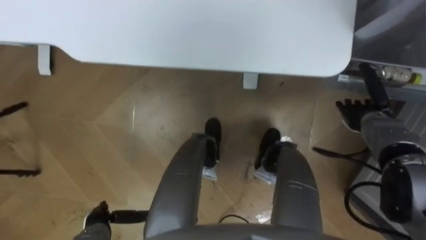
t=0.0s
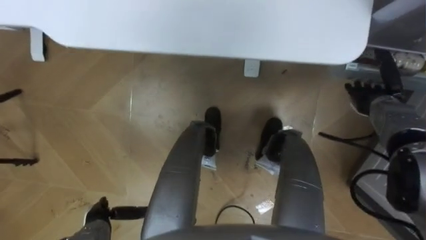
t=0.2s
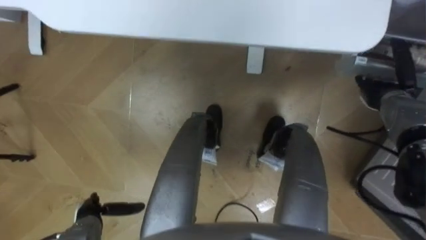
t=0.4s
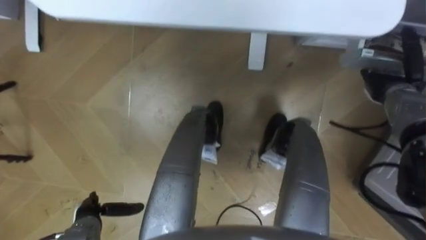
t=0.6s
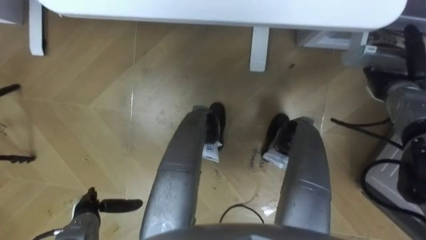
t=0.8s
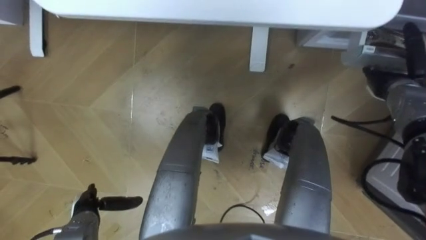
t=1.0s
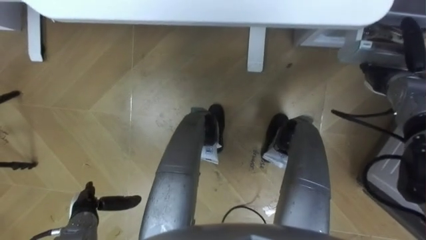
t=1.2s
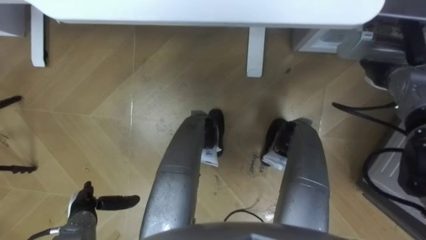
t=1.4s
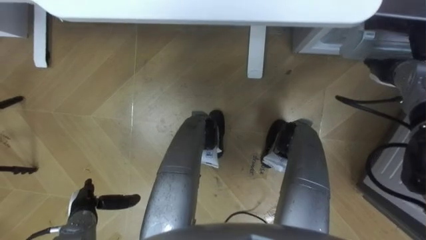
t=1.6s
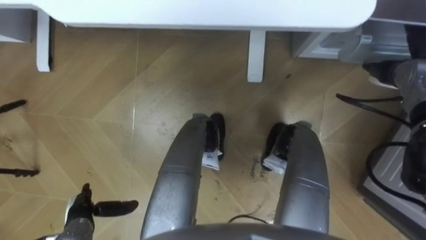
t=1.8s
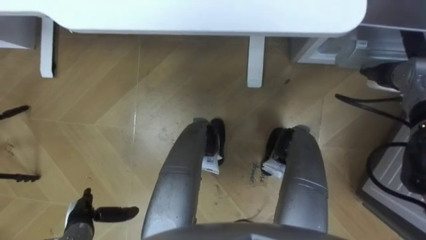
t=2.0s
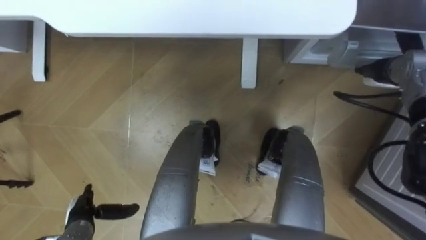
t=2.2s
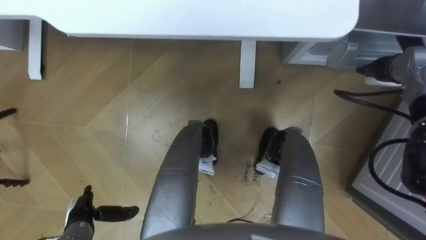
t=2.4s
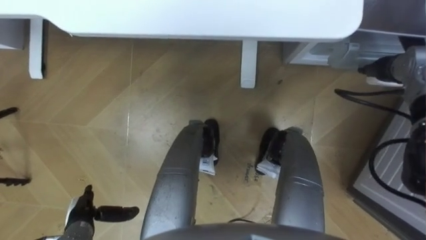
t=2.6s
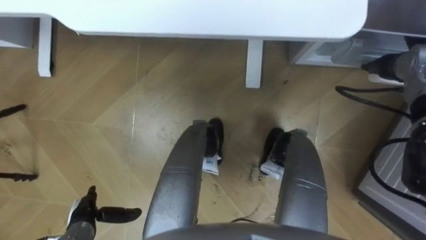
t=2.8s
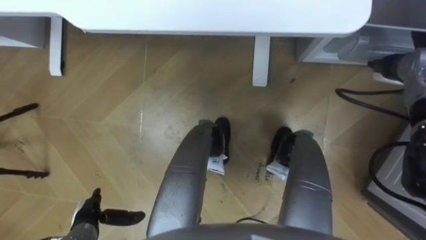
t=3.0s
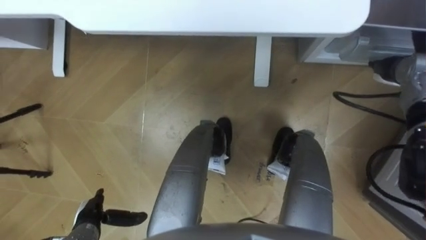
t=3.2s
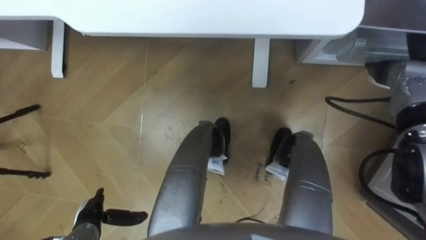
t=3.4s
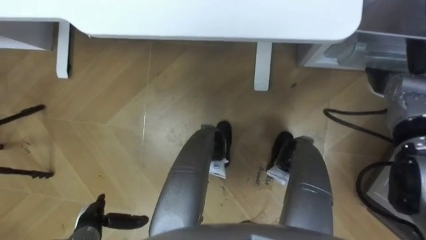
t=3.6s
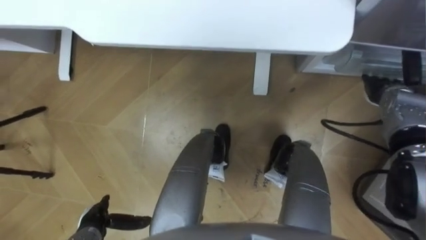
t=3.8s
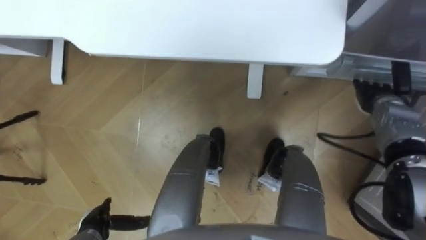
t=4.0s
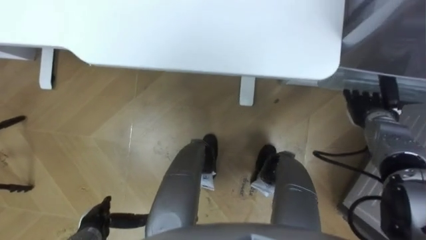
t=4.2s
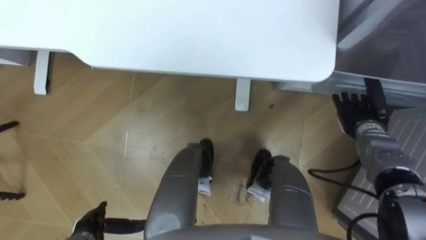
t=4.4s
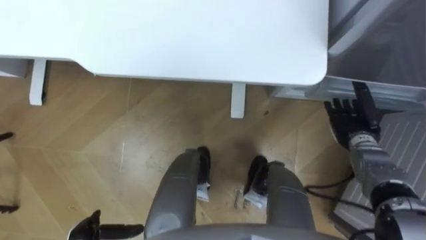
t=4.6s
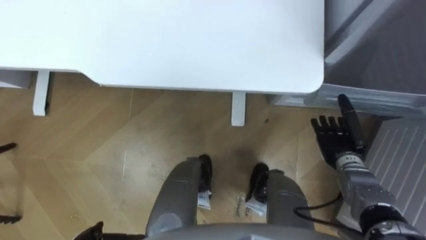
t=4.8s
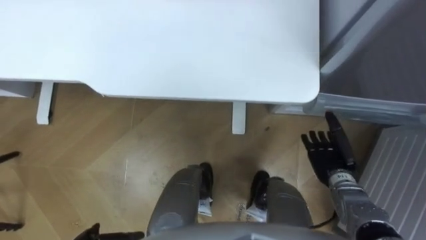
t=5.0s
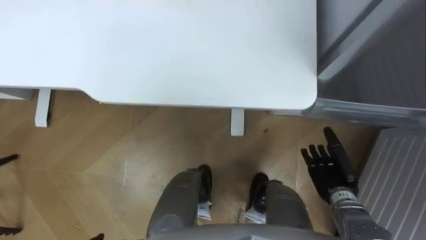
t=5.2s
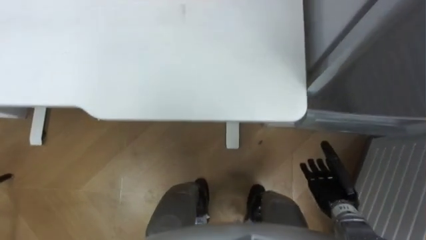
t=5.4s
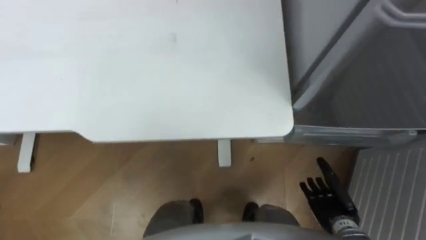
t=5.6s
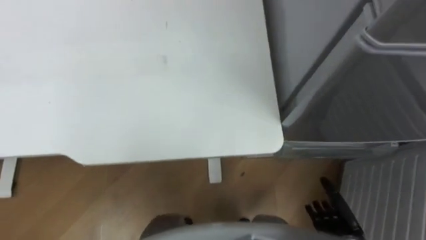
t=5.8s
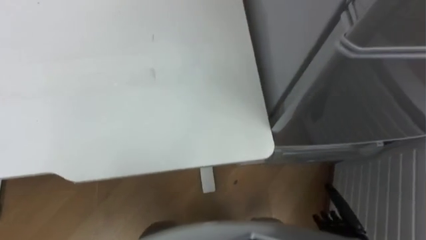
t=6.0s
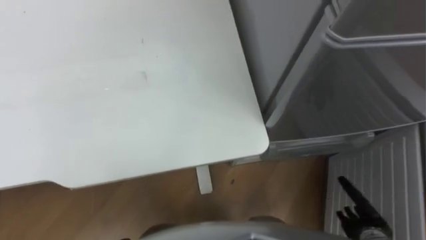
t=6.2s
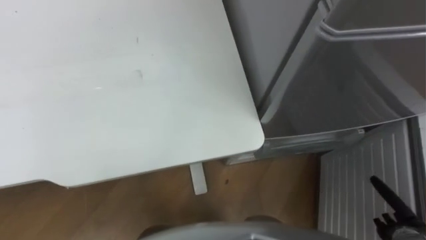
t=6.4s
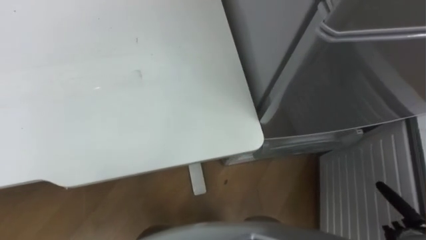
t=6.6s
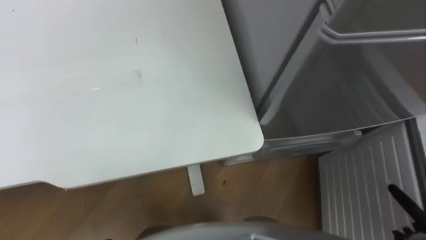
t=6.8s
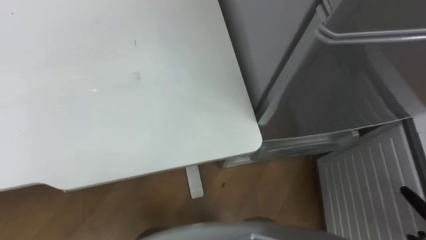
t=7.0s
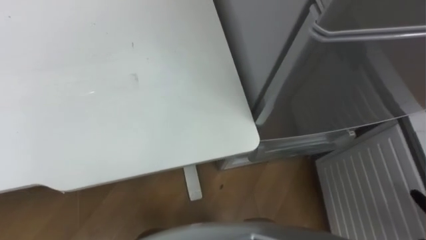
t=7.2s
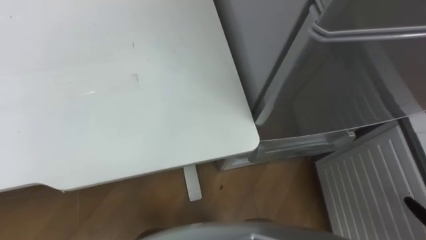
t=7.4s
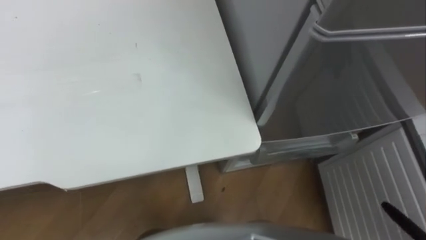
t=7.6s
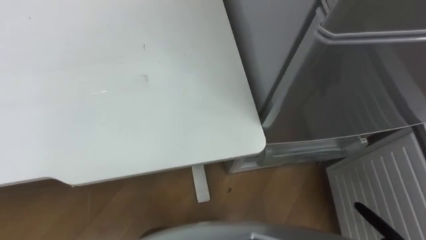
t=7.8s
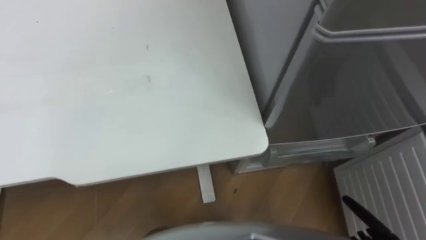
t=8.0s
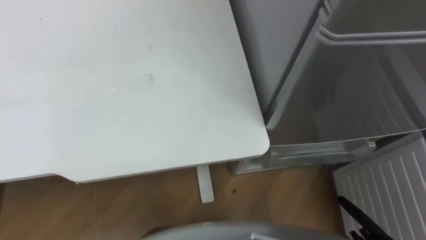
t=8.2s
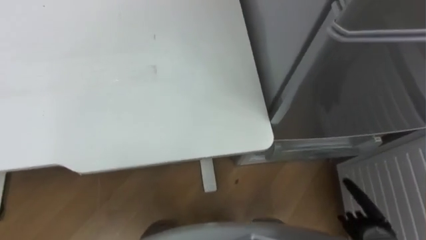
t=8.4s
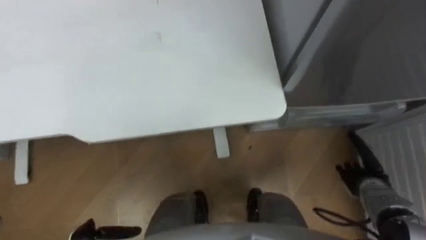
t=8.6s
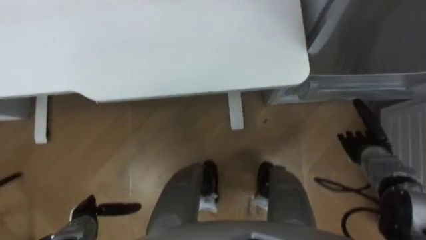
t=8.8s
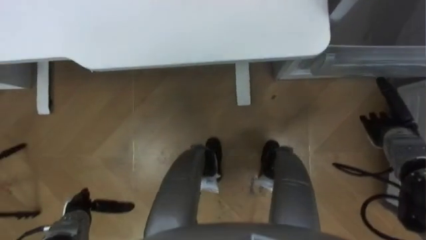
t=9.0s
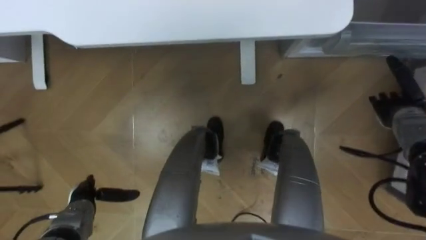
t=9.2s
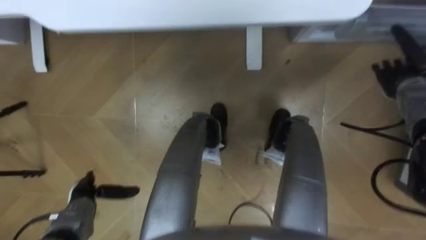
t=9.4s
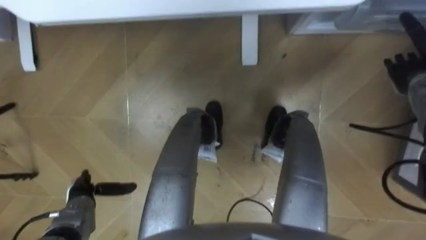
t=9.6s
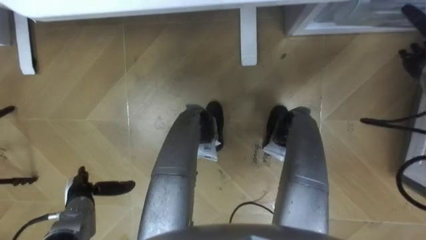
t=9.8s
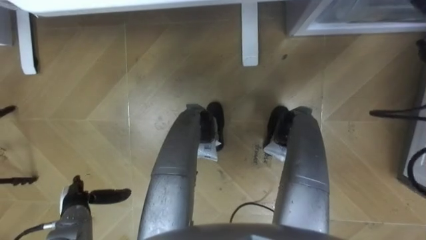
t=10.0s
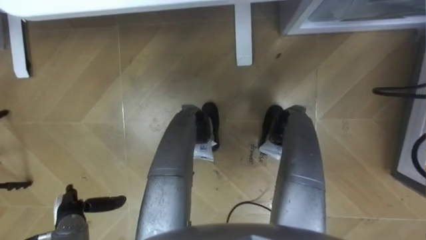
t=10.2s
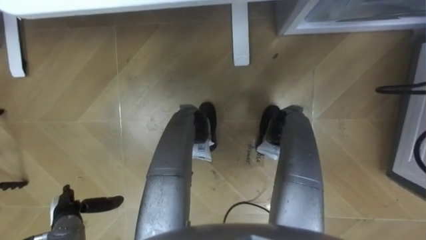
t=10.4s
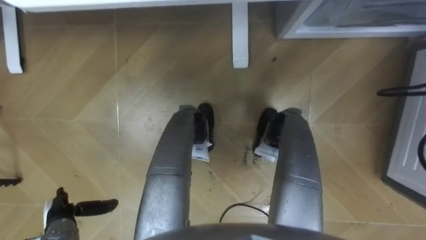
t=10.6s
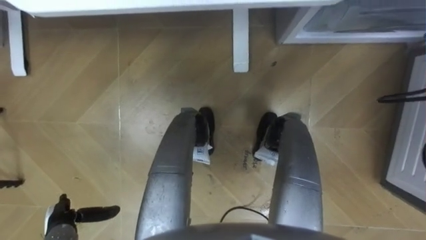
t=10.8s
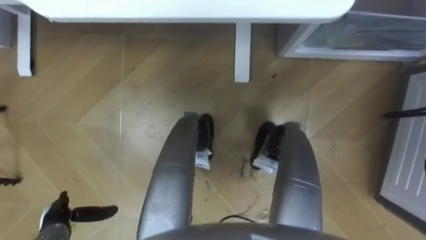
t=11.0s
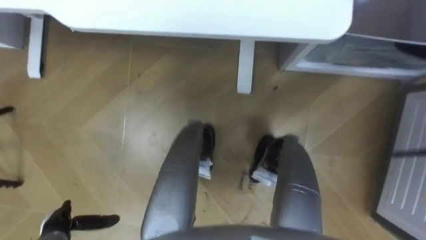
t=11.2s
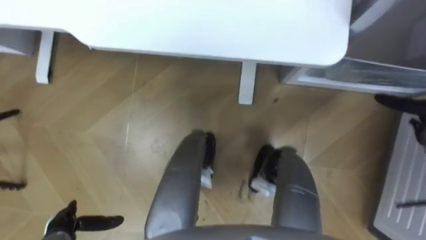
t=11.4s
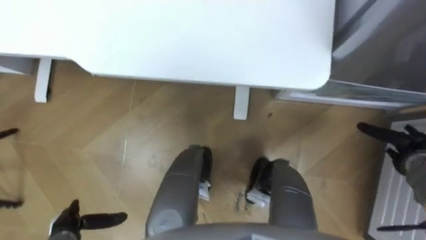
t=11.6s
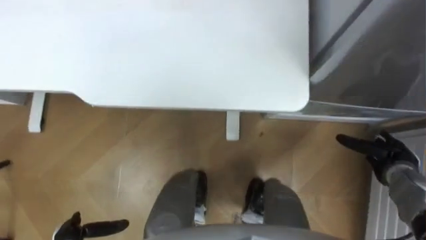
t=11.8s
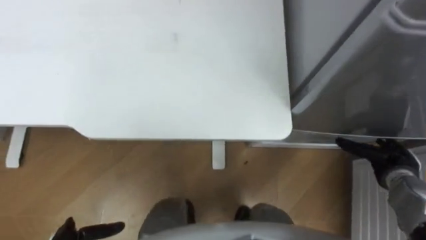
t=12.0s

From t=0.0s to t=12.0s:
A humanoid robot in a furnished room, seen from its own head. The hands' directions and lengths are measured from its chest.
Task of the whole recording: Place the drink on the table on the bottom shelf of the refrigerator, then close the drawer and the refrigerator door.
From t=0.0s to t=1.6s: The left hand ends up roughly 5 cm from where it was. The right hand is displaced upward and forward by about 10 cm.
From t=3.0s to t=4.4s: The right hand goes approximately 10 cm downward and backward.
From t=4.4s to t=6.0s: The right hand travels backward and downward by roughly 25 cm.

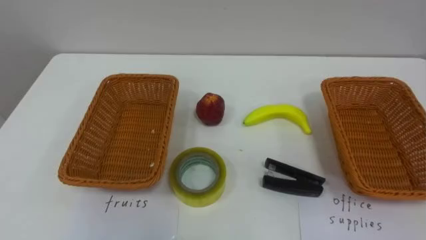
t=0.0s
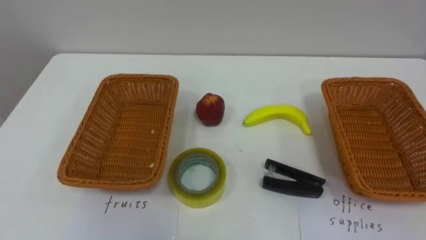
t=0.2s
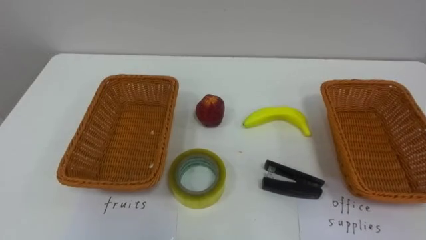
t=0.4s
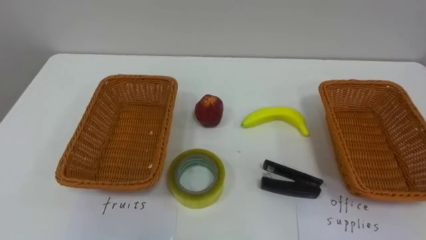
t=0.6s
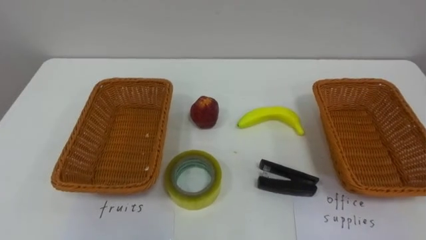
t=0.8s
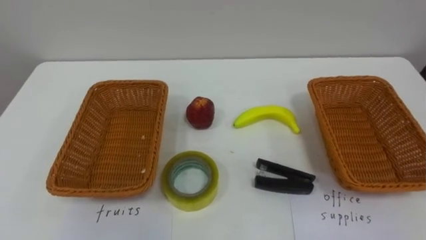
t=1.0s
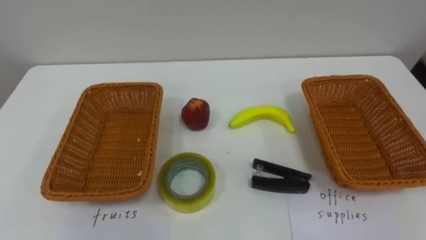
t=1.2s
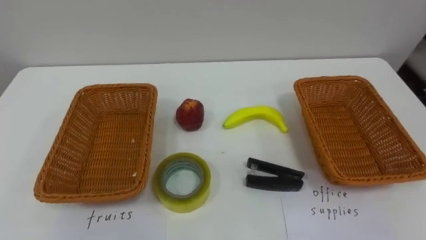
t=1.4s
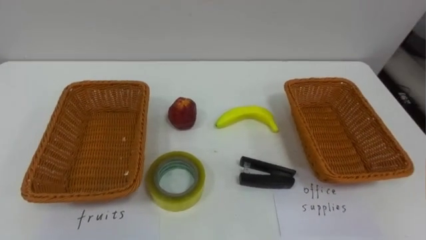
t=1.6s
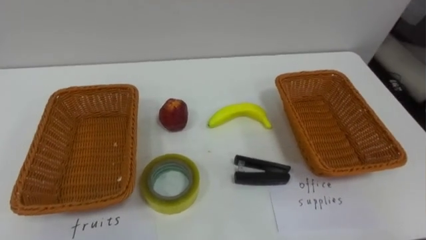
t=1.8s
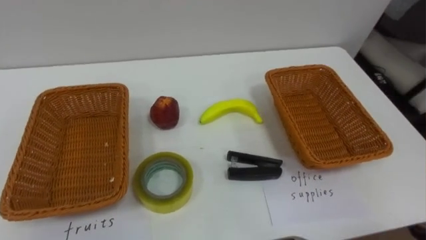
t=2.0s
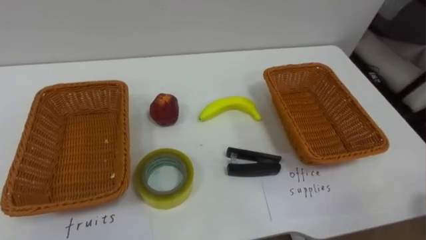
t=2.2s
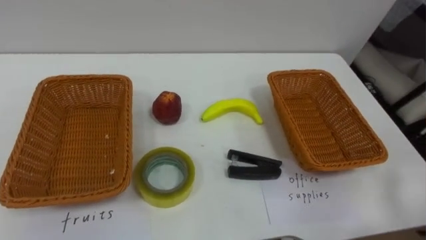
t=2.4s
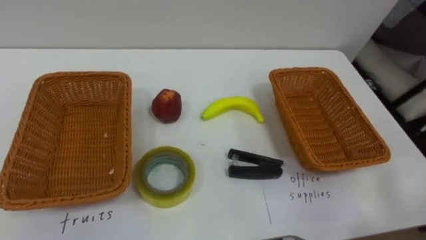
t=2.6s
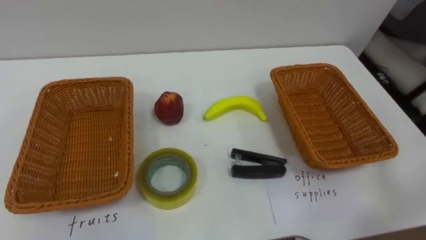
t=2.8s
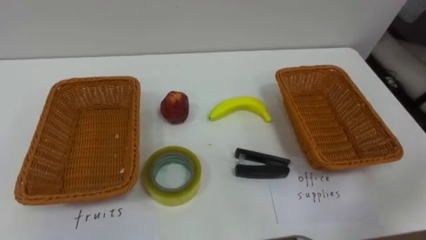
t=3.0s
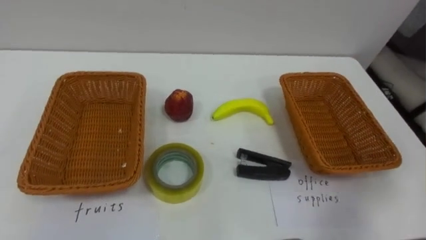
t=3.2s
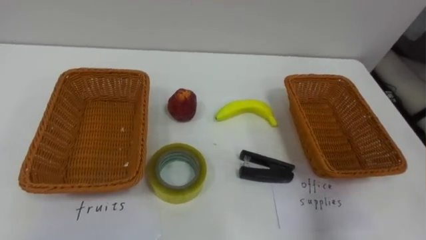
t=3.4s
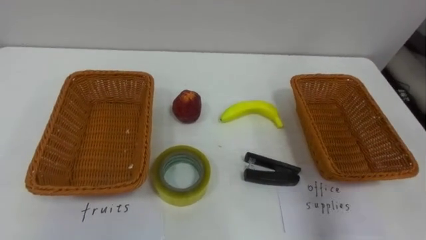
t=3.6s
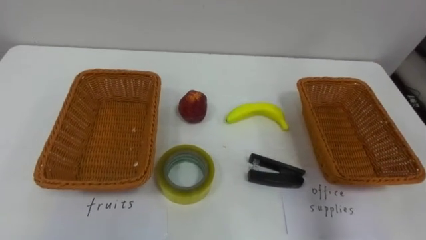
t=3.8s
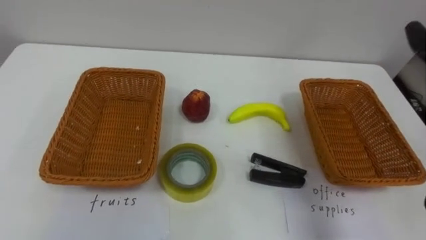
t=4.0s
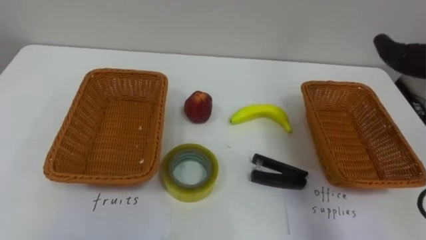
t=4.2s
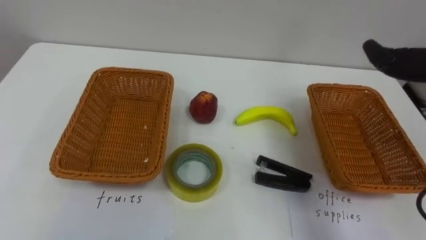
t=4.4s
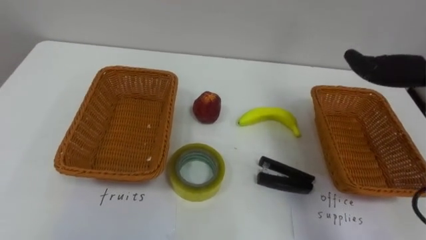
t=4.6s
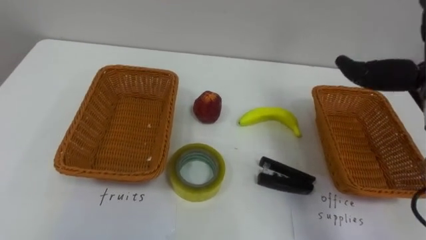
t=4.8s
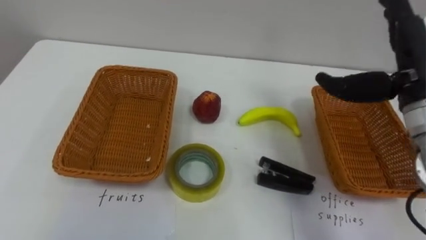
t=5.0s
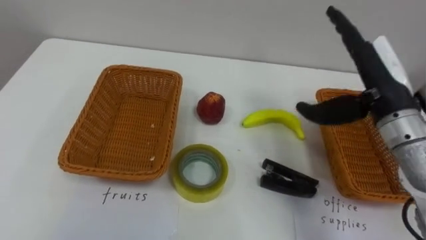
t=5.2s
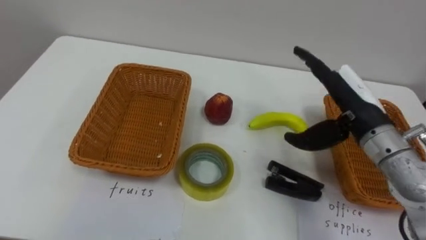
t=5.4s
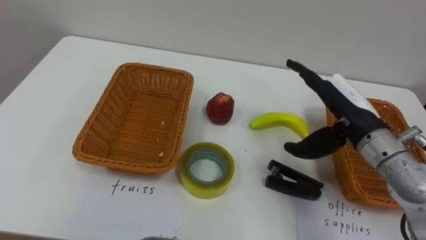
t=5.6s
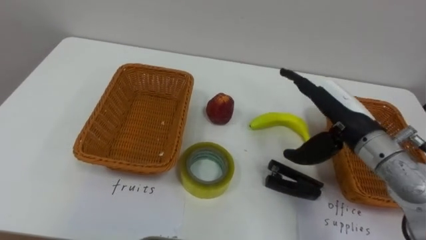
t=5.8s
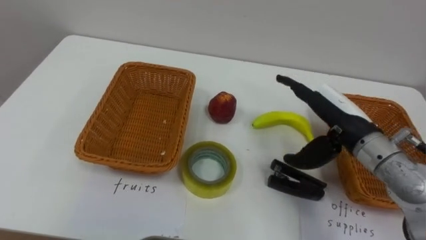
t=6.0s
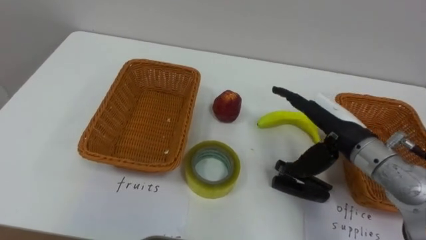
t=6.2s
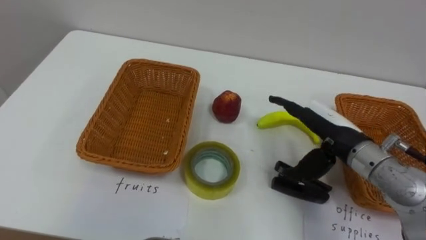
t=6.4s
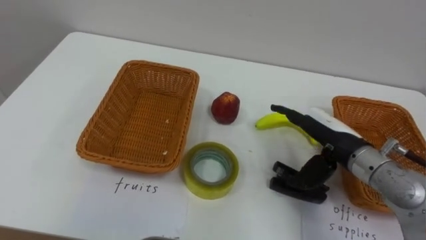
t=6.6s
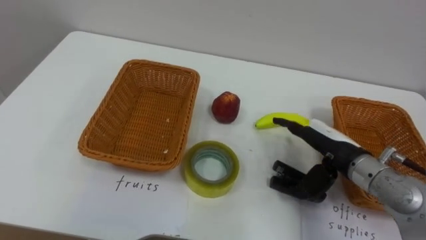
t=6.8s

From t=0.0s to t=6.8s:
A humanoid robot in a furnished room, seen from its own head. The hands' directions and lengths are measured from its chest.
Task of the whole recording: Separate the items on the table and place them into the two baskets.
From t=5.4s to t=6.8s: The right hand heads downward, covering some 10 cm.
